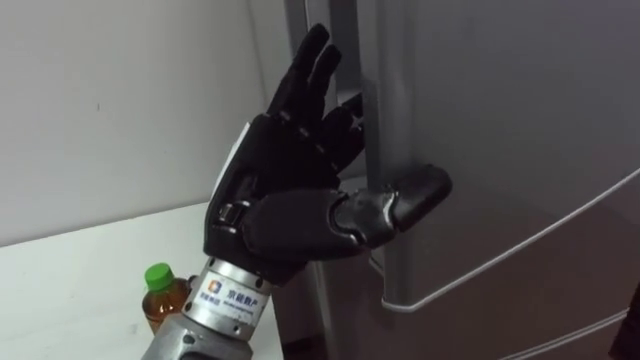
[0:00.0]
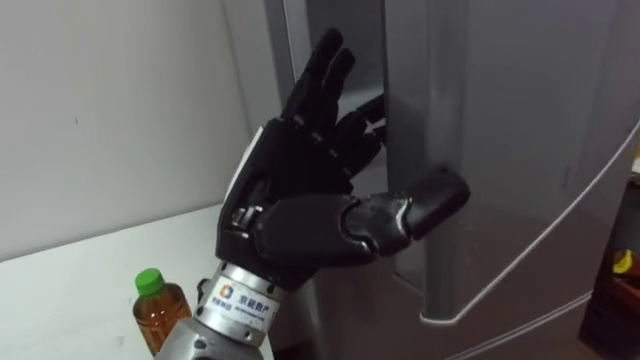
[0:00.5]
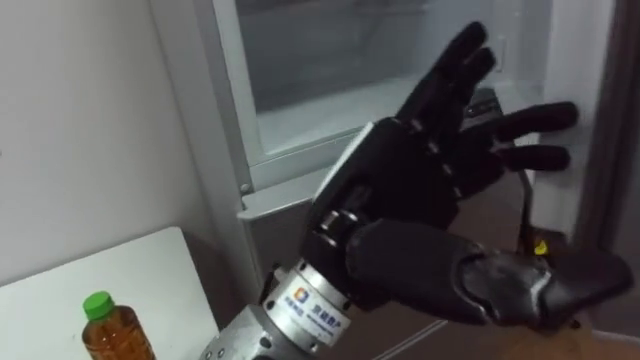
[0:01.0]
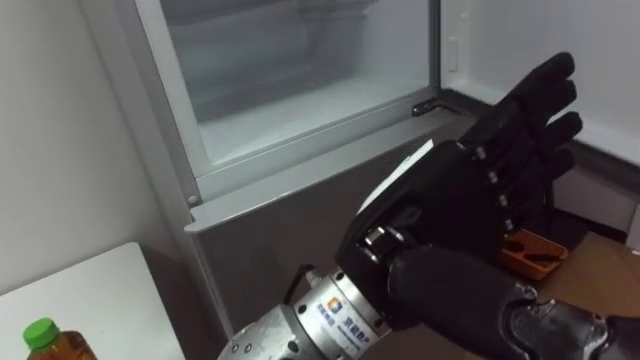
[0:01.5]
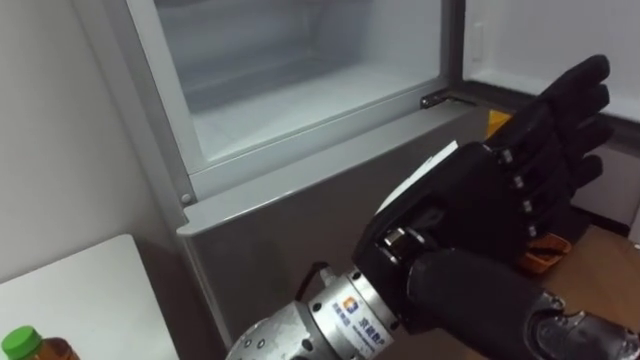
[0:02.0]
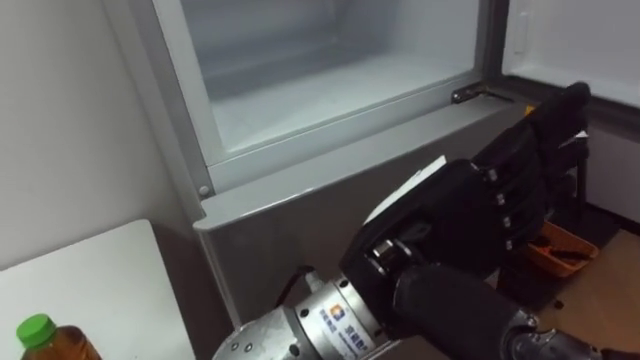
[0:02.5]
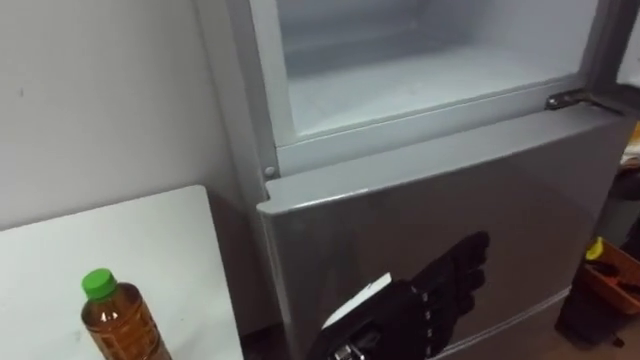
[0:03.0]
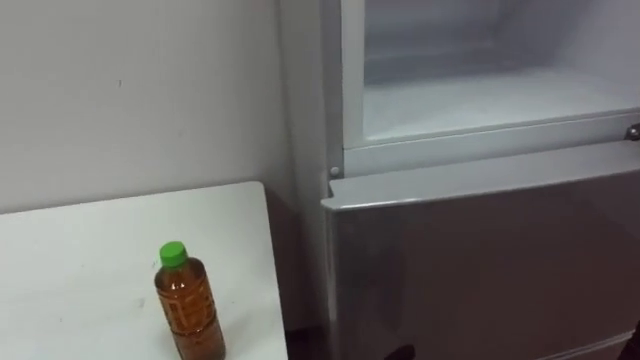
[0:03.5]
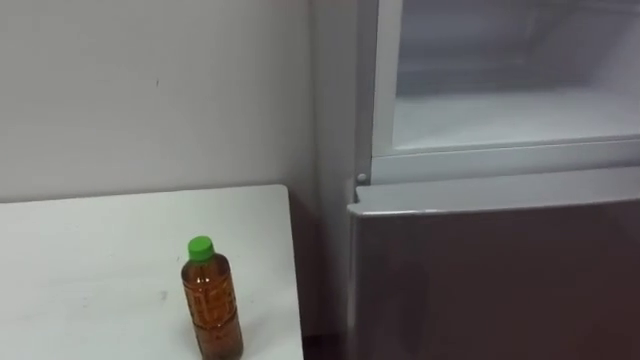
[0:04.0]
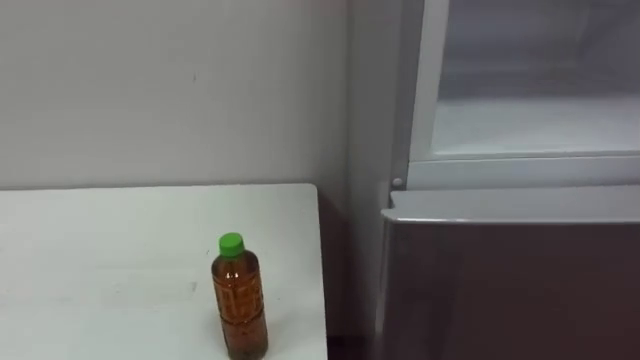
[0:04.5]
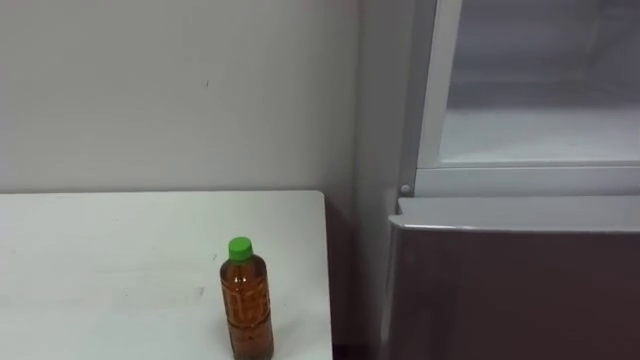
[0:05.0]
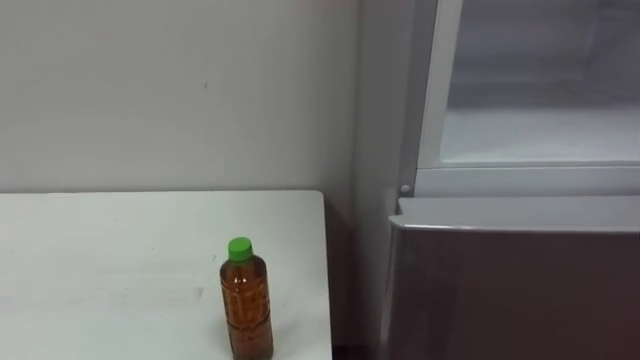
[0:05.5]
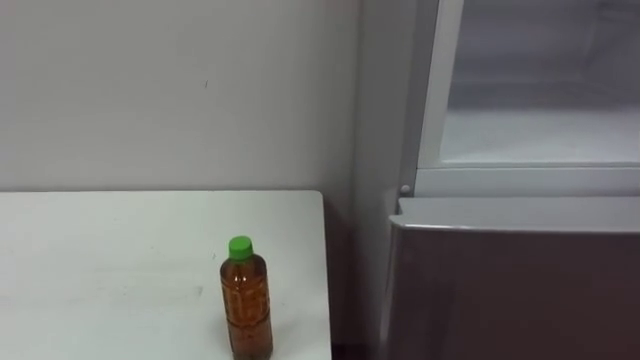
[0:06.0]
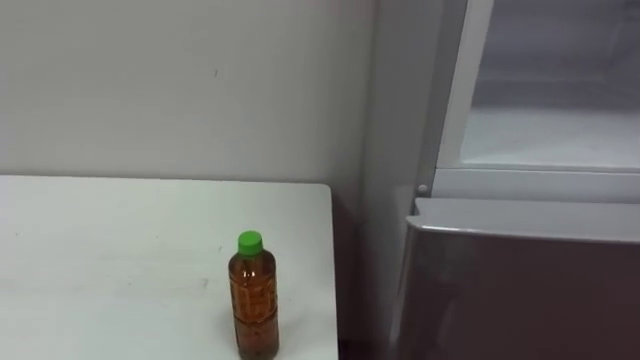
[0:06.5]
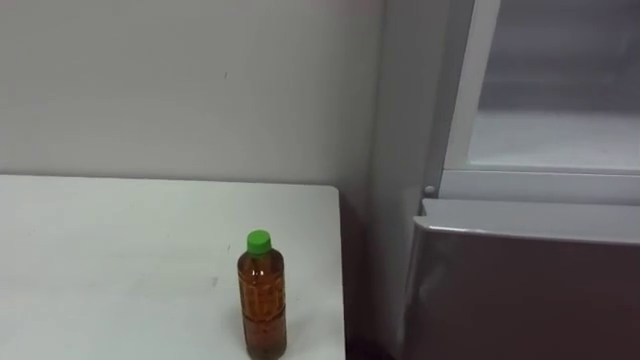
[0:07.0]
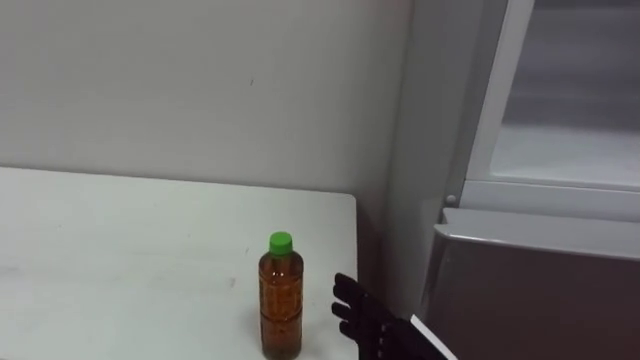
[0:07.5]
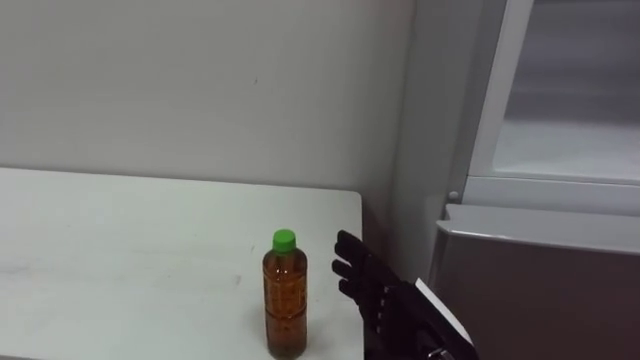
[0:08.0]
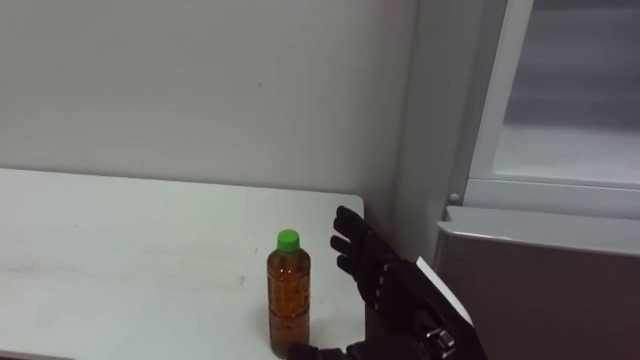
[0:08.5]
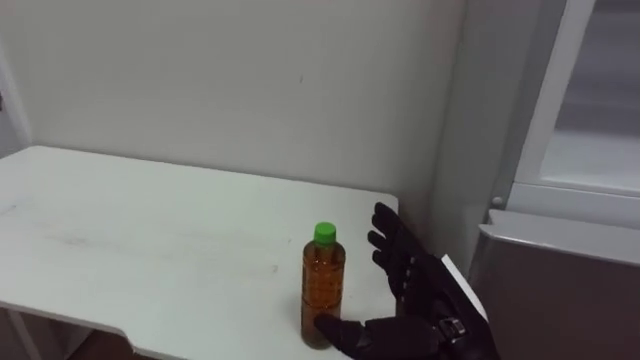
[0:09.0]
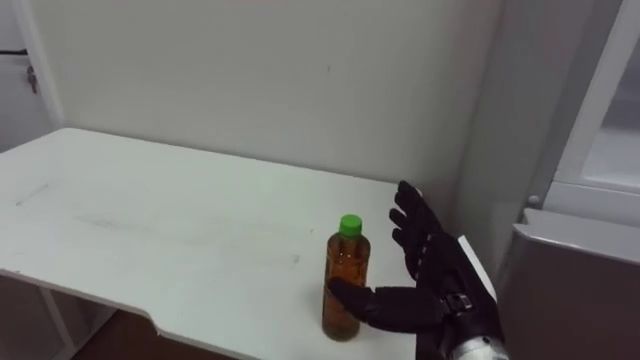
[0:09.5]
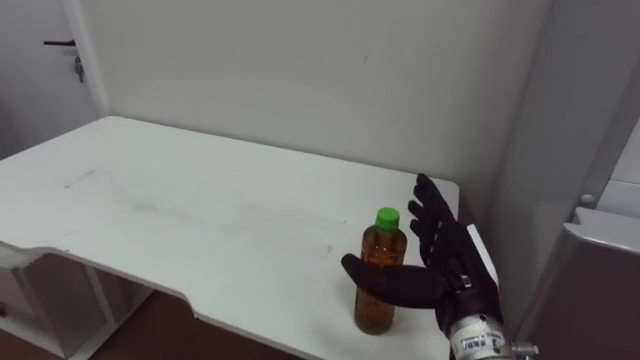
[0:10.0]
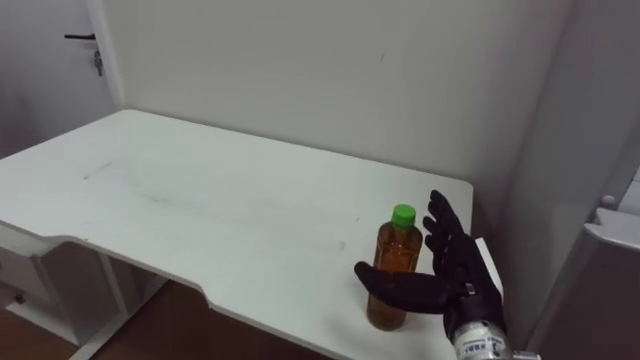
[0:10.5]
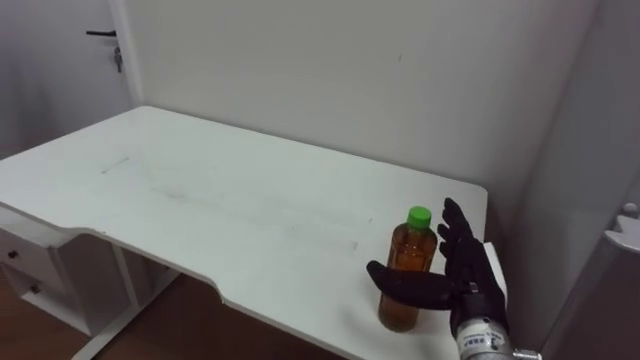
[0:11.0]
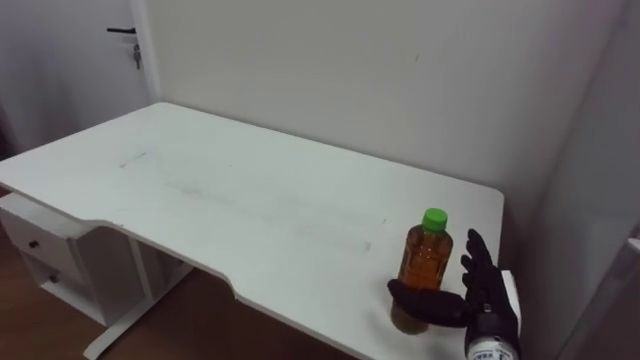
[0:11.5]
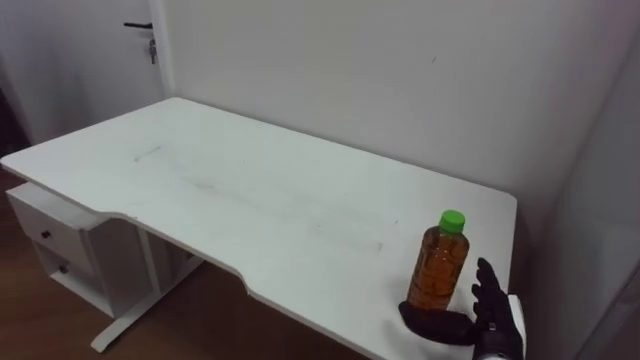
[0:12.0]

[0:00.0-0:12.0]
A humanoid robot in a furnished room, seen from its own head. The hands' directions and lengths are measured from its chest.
Task of the whole recording: Open the upper refrigerator door, put the drink from the table into the refrigerator, and then close the refrigerator door.
0:00.0 to 0:02.0: The left hand goes some 10 cm to the right.
0:08.0 to 0:10.0: The right hand heads forward, covering some 5 cm.
0:10.0 to 0:12.0: The right hand shifts about 10 cm downward and to the right.

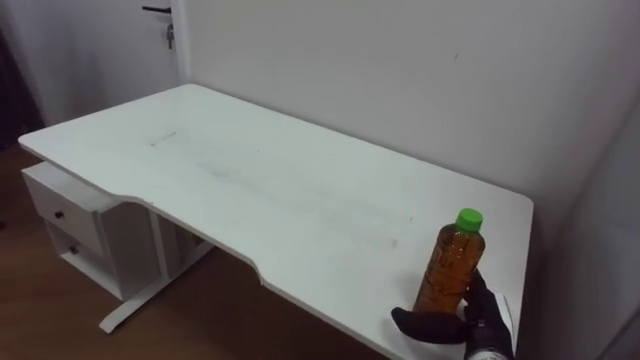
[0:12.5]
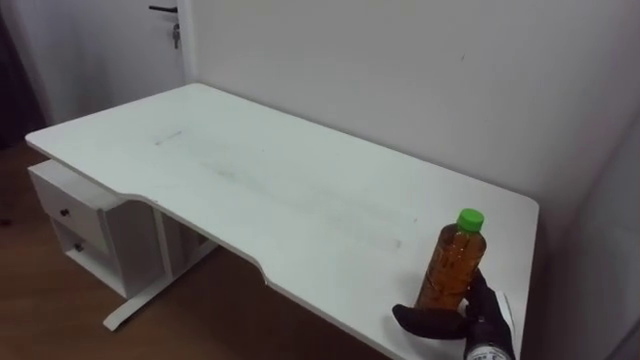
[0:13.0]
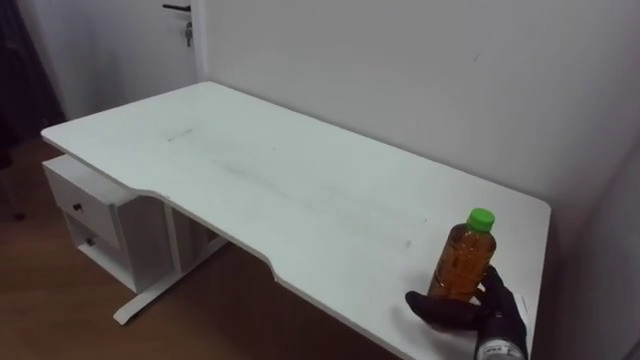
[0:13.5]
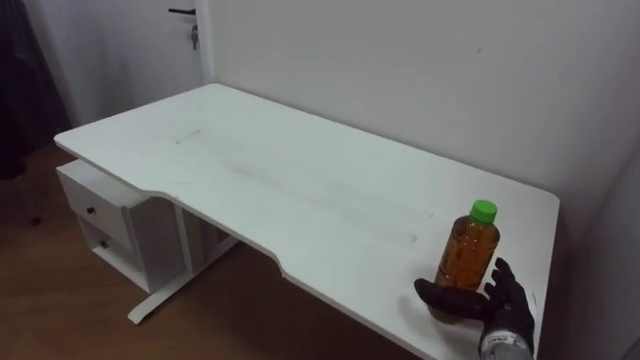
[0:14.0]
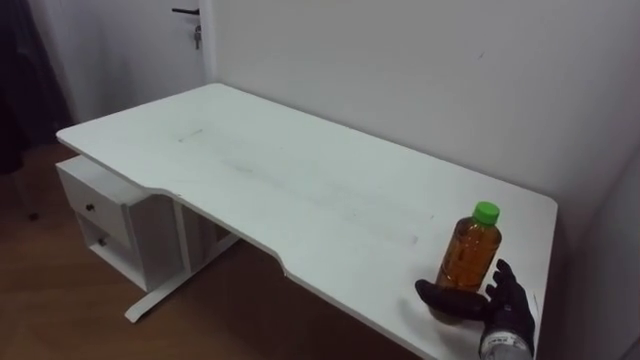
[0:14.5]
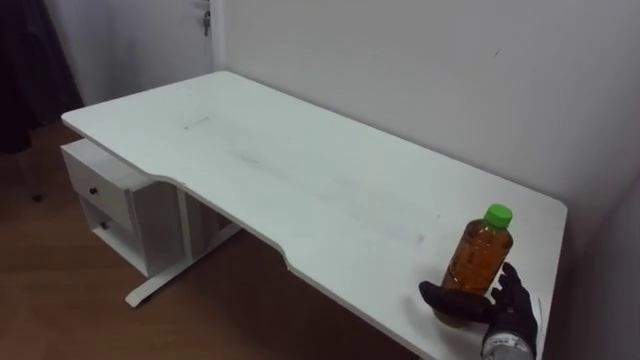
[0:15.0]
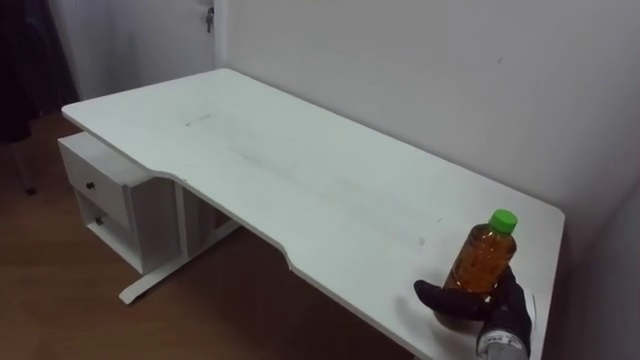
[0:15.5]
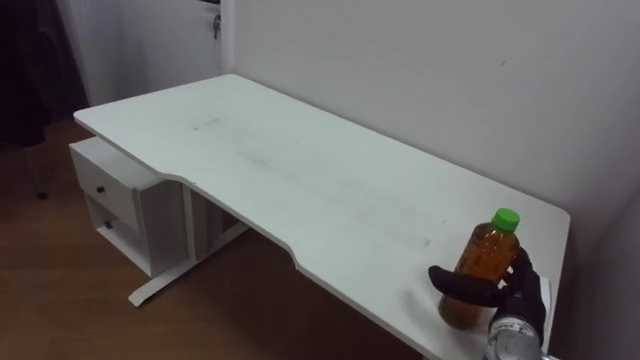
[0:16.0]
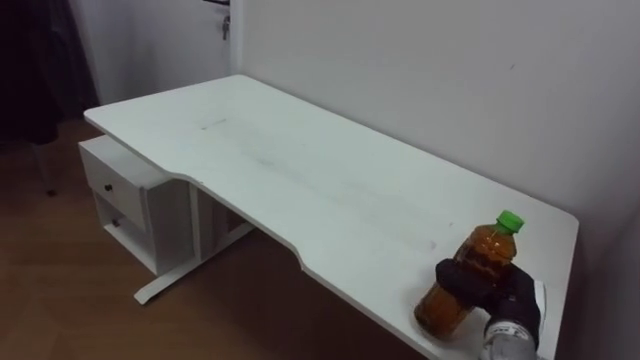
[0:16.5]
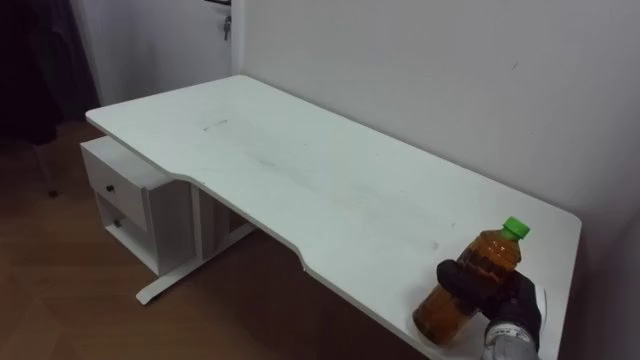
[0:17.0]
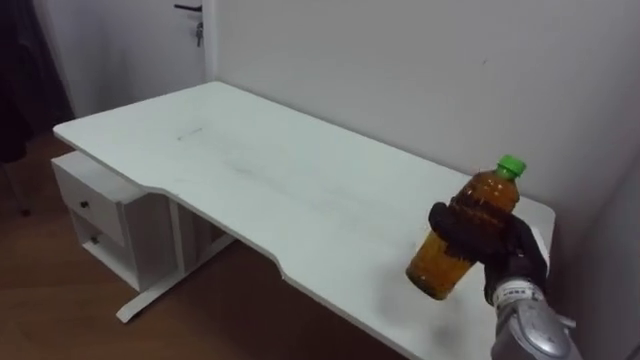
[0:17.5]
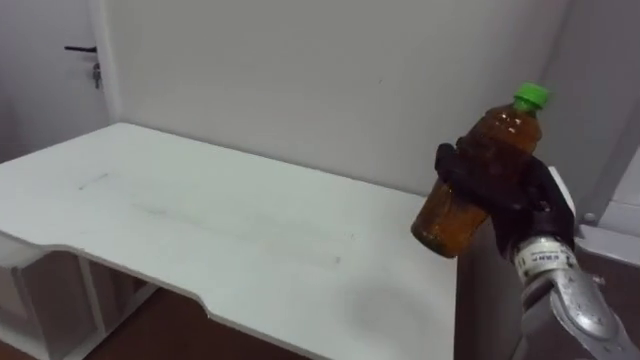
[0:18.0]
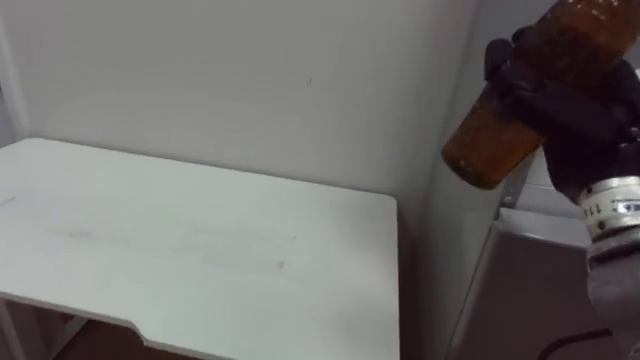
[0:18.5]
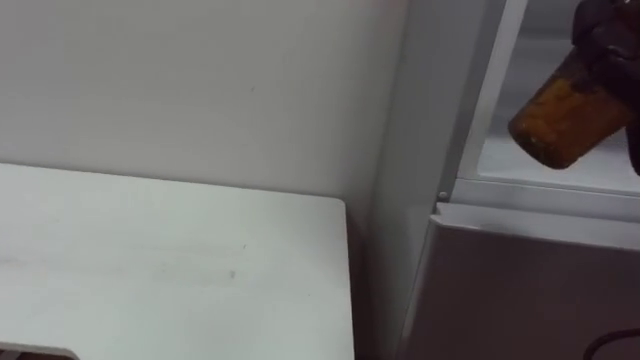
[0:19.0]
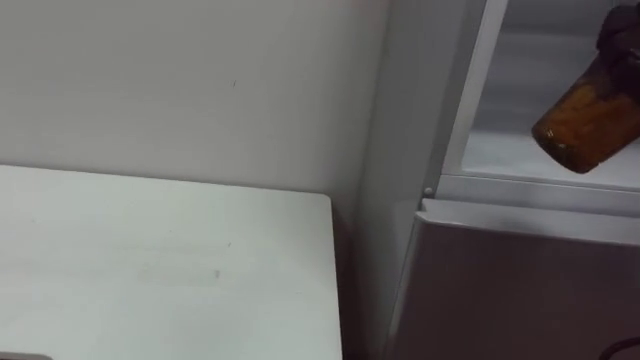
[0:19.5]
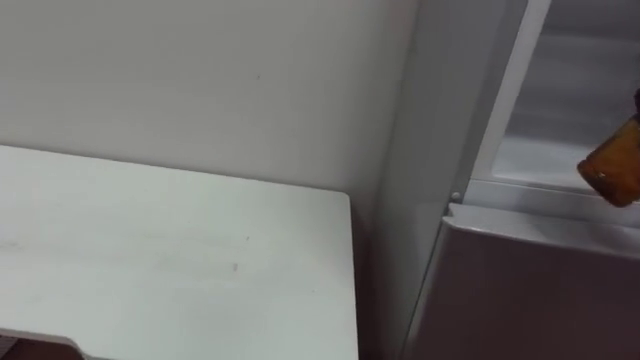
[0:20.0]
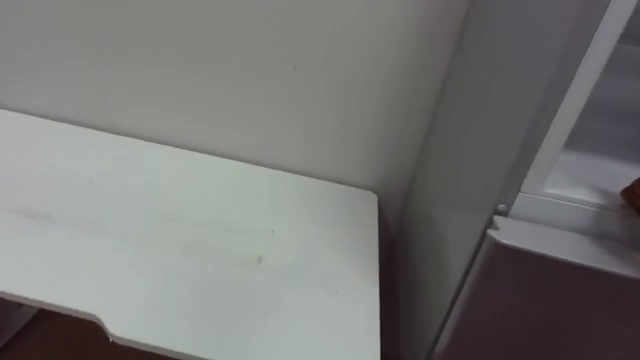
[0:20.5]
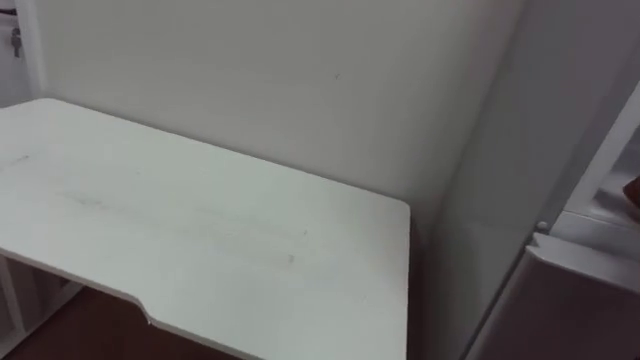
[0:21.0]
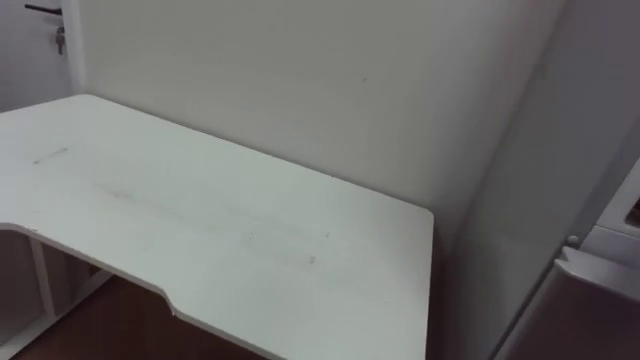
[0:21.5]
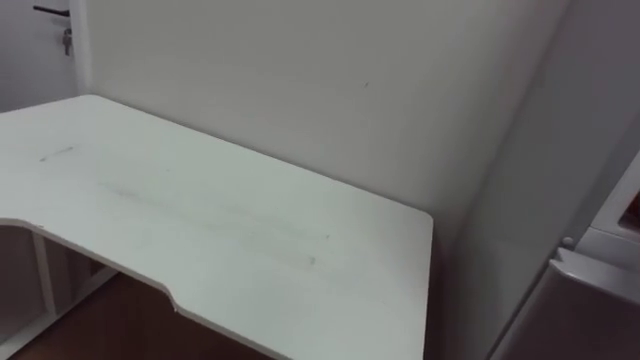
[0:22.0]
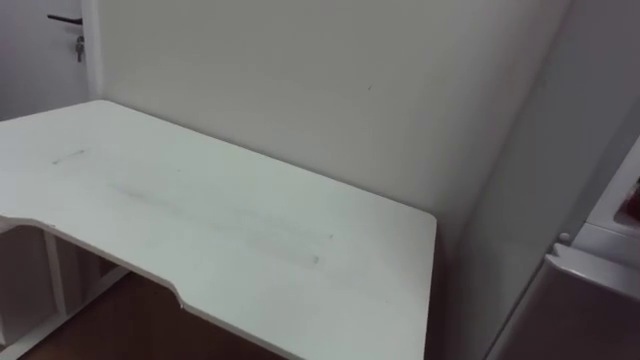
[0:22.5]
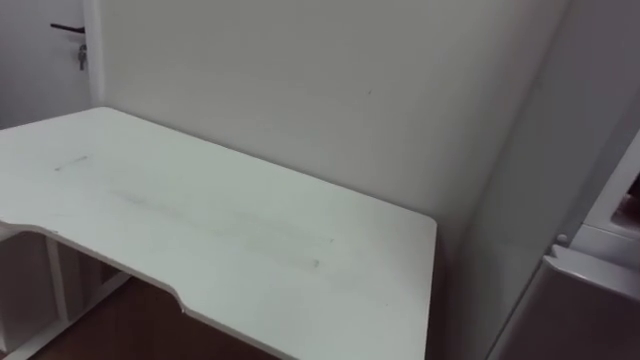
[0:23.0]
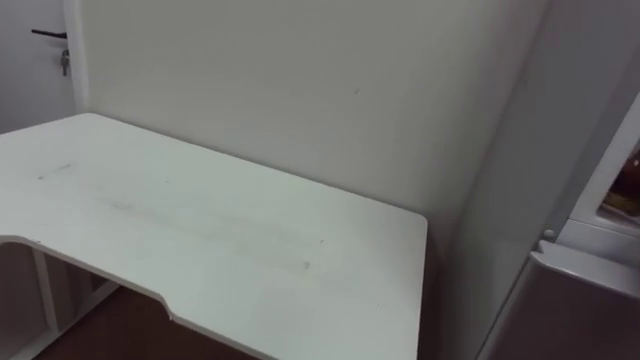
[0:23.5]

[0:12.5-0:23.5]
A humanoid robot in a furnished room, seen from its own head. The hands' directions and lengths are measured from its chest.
Task of the whole recording: Open the upper refrigerator door, put the drink from the table into the refrigerator, and then close the refrigerator door.
0:16.0 to 0:18.0: The right hand shifts about 15 cm upward, and closes up.
